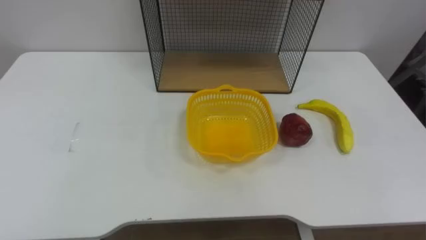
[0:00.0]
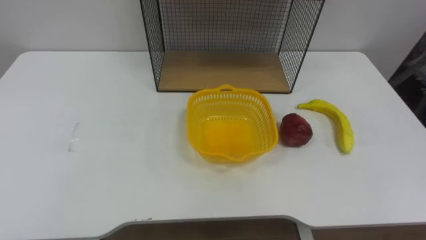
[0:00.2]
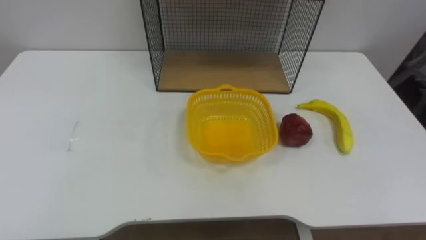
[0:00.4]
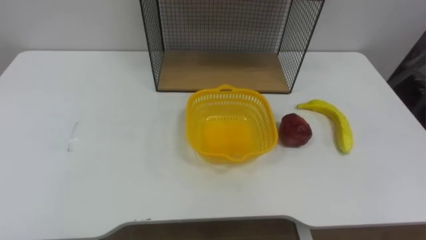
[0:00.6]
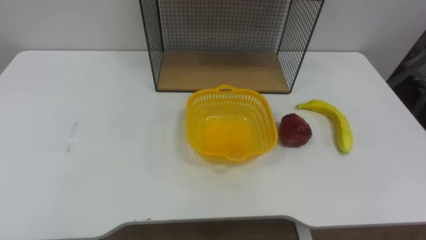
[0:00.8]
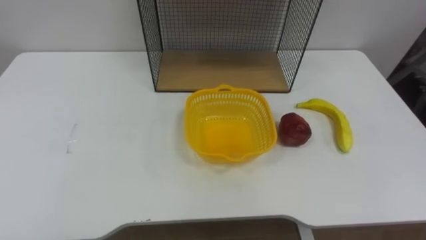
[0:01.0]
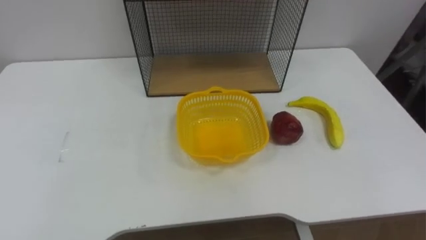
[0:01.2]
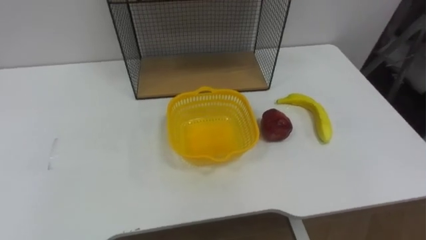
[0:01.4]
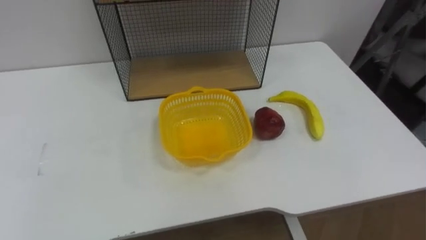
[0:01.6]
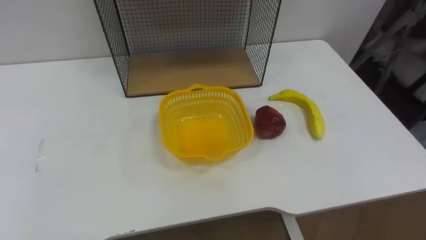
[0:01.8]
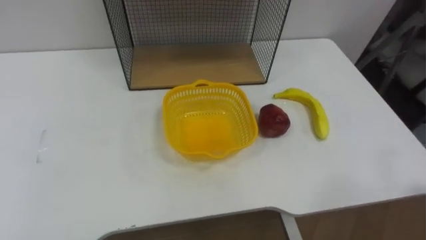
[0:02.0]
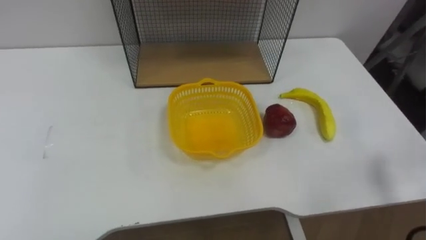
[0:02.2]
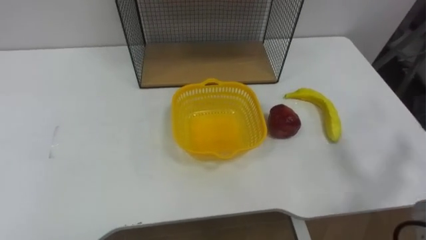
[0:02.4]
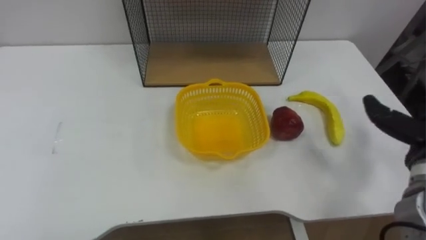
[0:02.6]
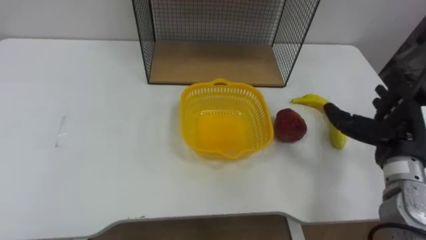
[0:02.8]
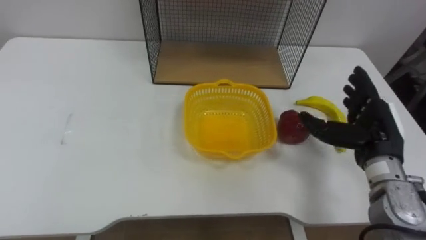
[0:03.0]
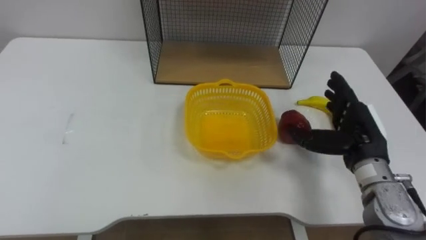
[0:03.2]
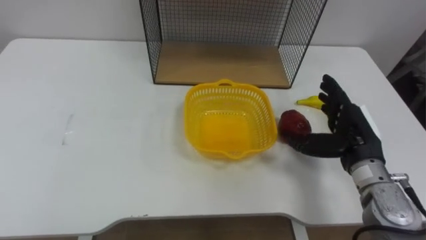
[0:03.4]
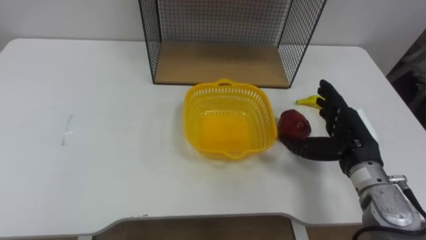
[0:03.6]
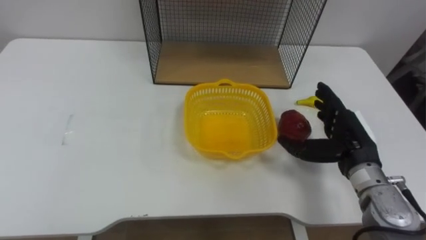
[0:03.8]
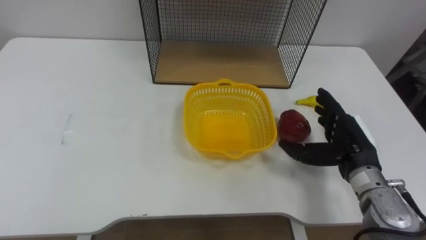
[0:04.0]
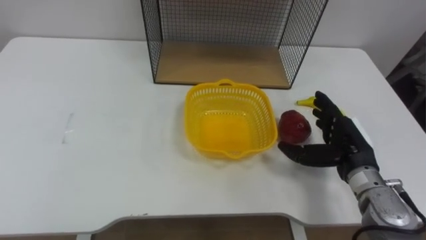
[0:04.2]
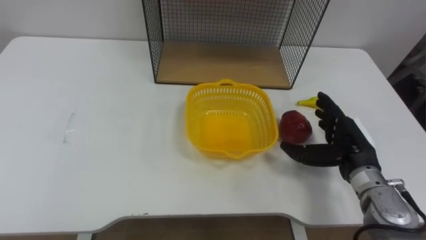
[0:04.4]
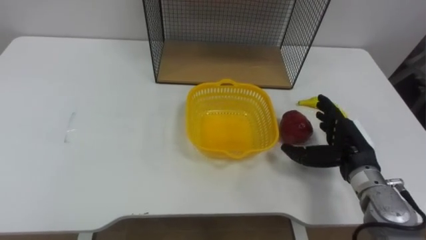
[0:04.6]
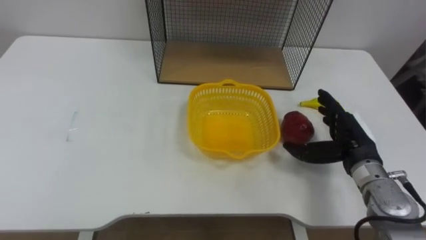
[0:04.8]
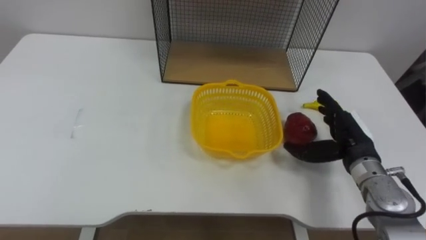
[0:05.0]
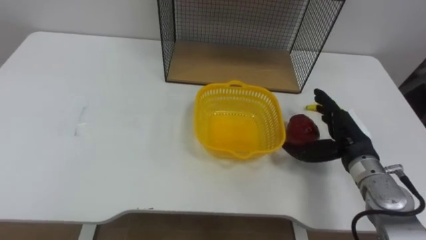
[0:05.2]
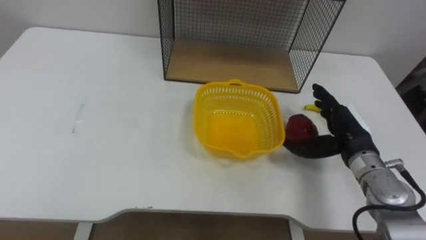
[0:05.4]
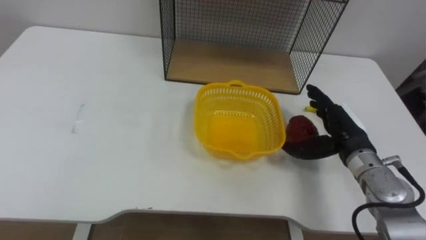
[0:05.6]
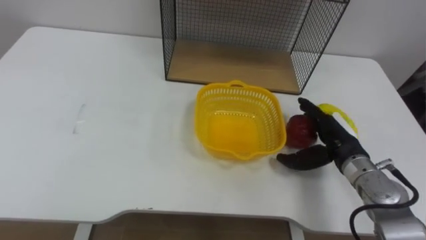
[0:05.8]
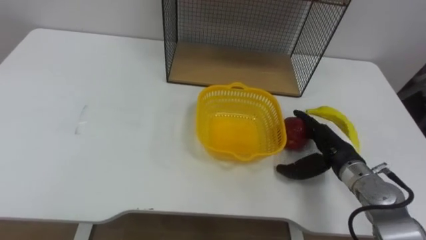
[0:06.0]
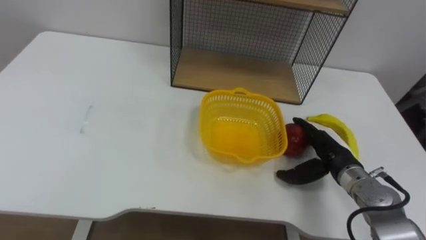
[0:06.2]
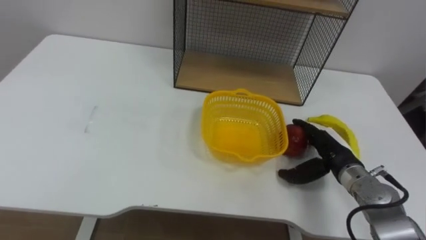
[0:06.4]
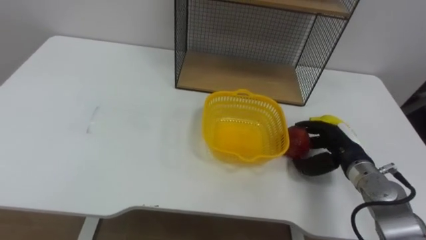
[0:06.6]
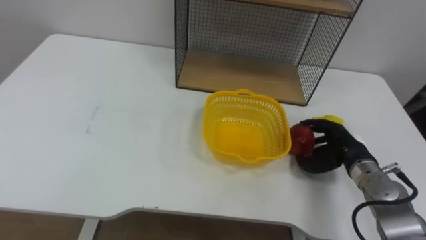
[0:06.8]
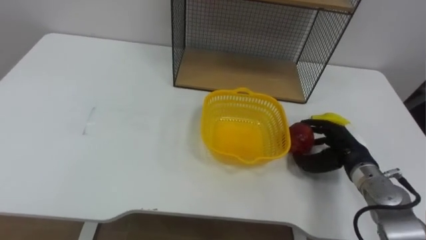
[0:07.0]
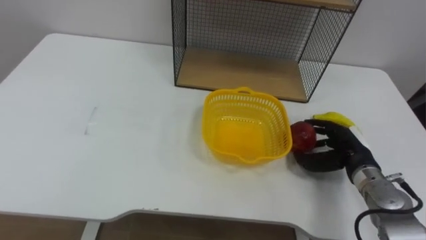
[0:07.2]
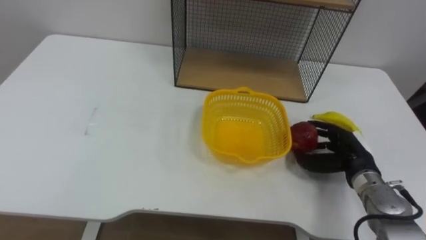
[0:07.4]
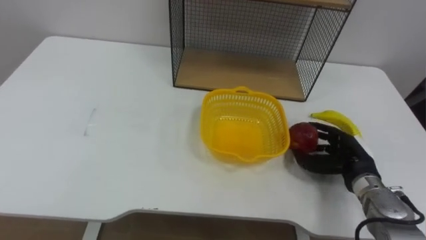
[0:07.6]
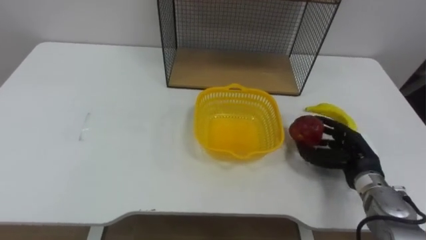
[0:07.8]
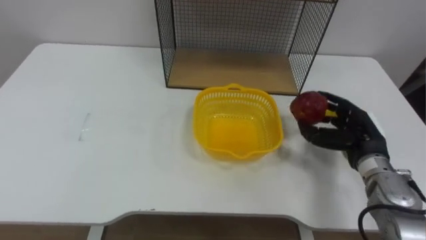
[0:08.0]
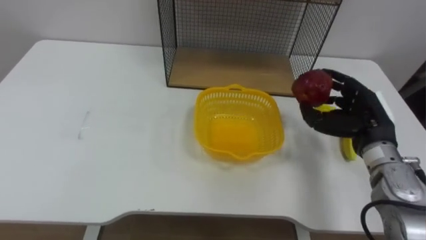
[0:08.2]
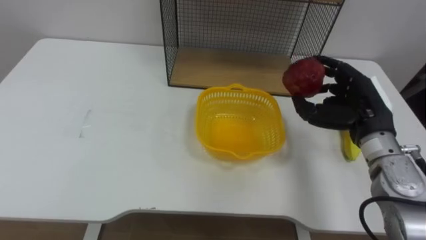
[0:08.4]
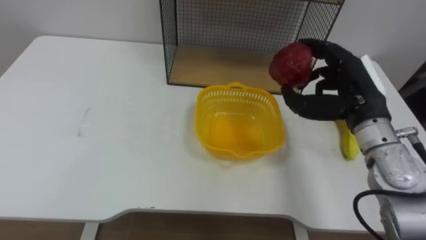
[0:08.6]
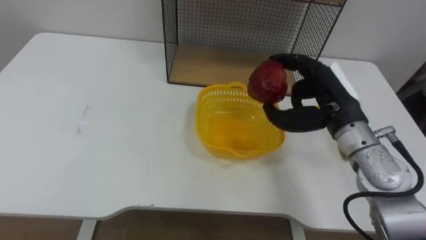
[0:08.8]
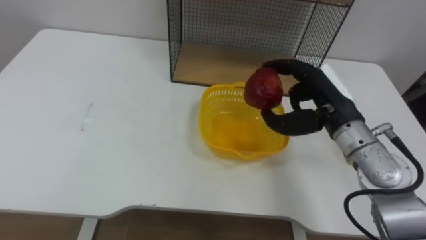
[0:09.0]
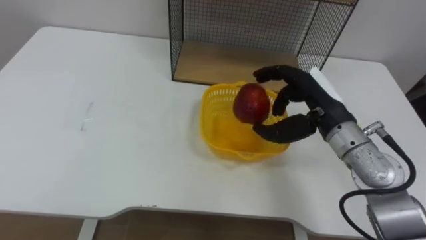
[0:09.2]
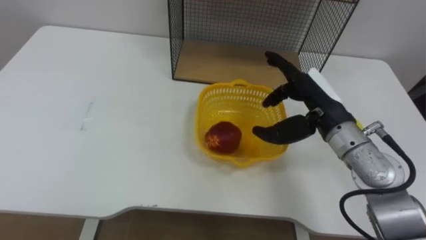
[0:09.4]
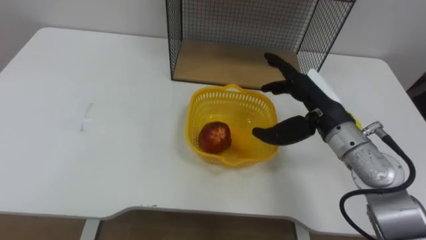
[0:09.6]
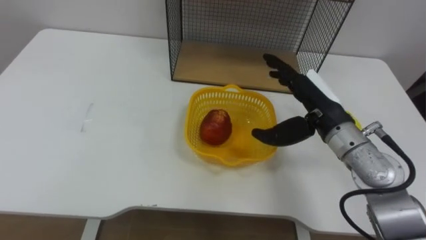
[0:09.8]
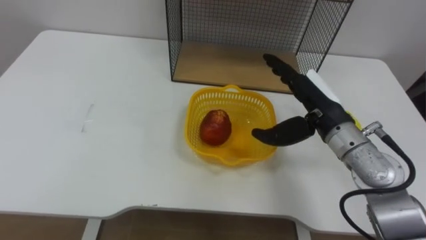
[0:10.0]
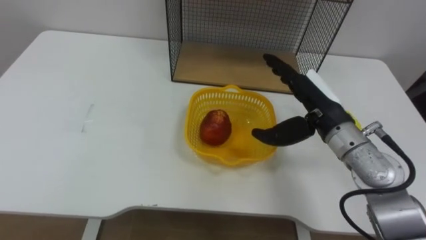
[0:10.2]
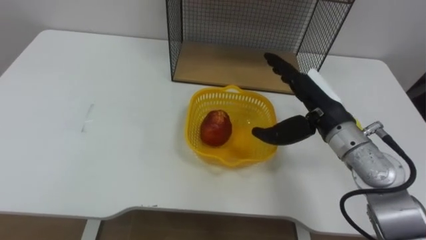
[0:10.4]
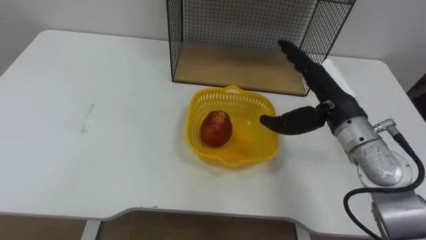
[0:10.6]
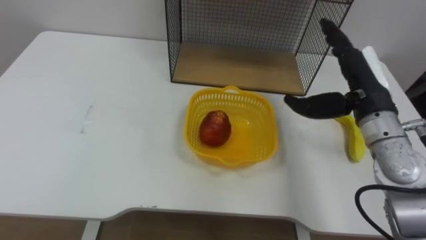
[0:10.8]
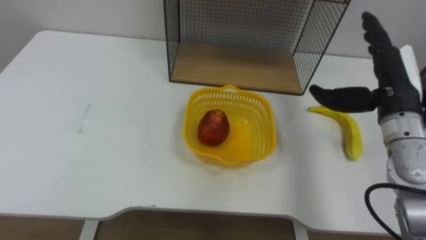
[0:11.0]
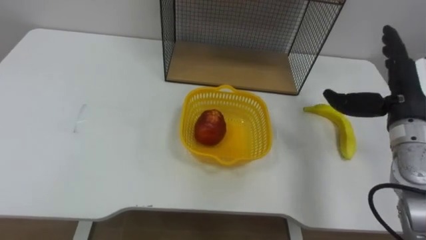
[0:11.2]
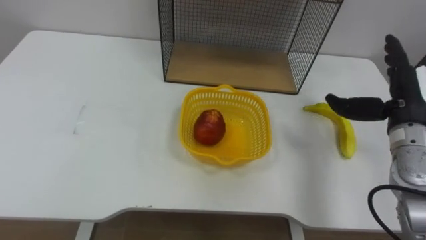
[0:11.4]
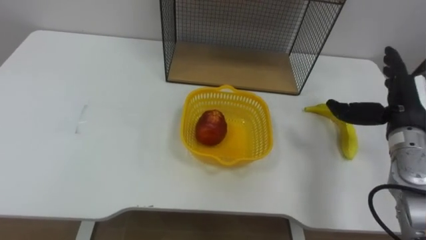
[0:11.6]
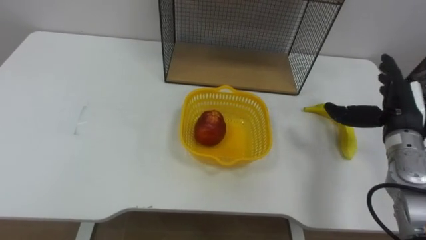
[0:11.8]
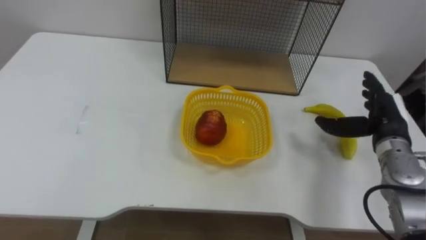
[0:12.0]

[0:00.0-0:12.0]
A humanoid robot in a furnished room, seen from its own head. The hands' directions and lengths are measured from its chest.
Task of the whole recording: Put the fruit on the table into the basket, then place the basket on the shelf.
3.0 to 4.4 s: The right hand moves roughly 5 cm.
6.0 to 7.6 s: The right hand closes its fingers.
7.6 to 9.0 s: The right hand travels upward and to the left by about 15 cm.
9.0 to 10.4 s: The right hand opens.
10.4 to 12.0 s: The right hand shifts approximately 15 cm to the right and downward.

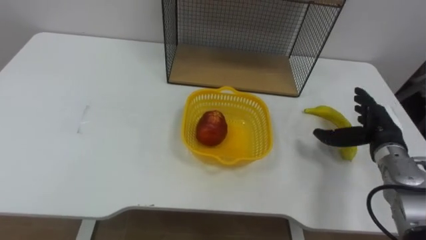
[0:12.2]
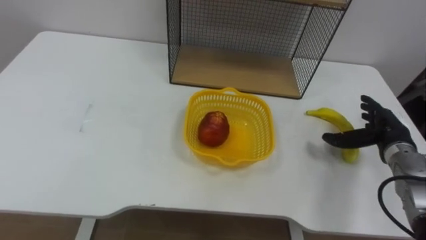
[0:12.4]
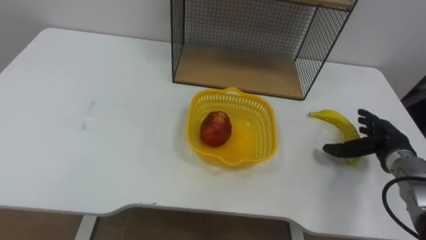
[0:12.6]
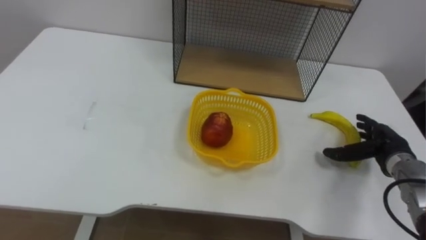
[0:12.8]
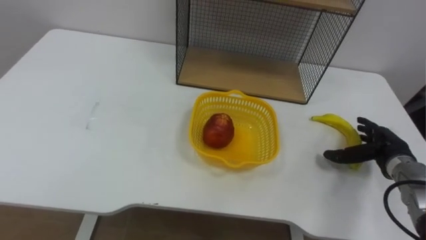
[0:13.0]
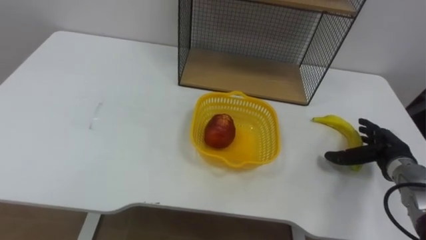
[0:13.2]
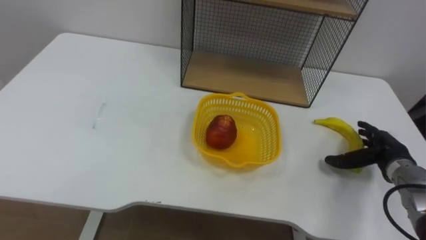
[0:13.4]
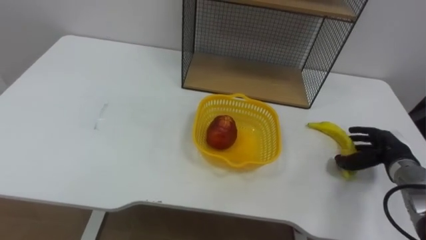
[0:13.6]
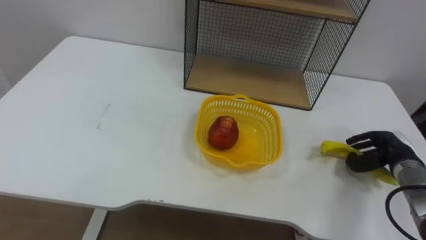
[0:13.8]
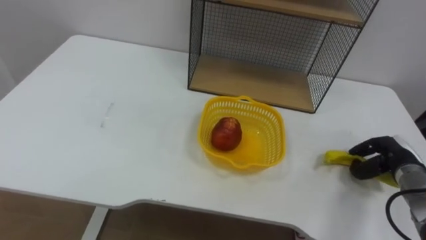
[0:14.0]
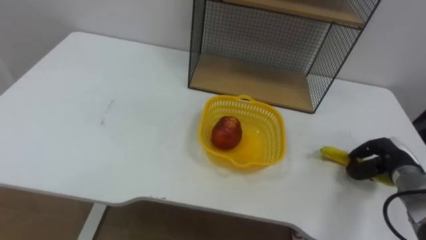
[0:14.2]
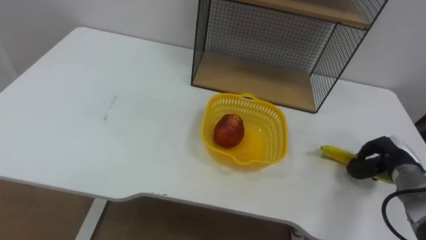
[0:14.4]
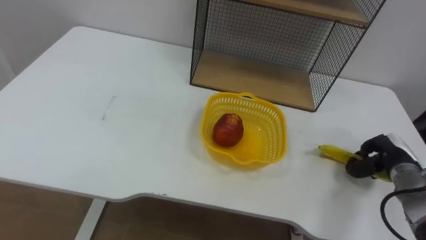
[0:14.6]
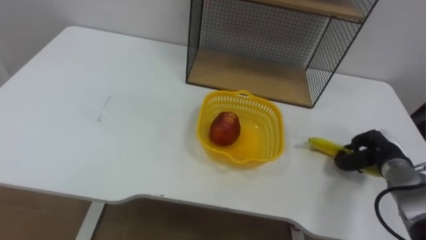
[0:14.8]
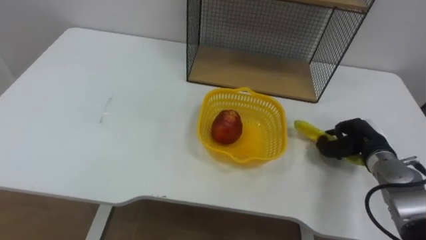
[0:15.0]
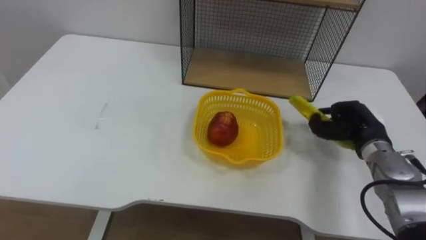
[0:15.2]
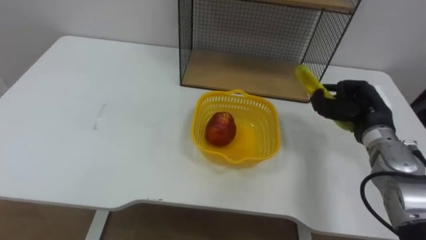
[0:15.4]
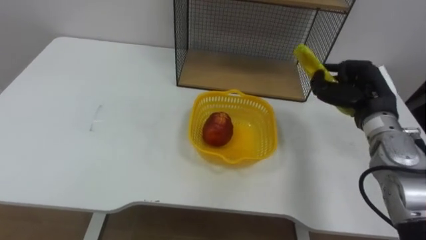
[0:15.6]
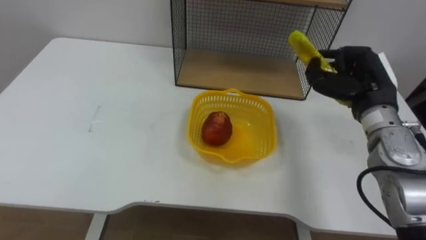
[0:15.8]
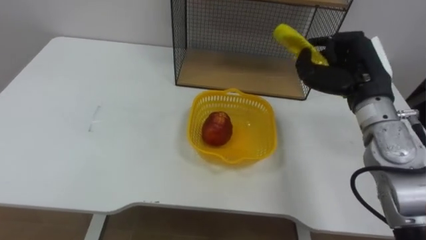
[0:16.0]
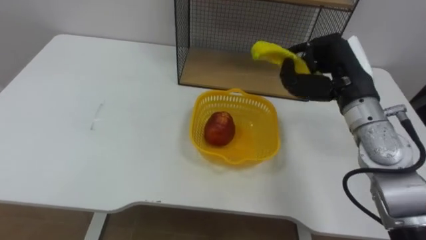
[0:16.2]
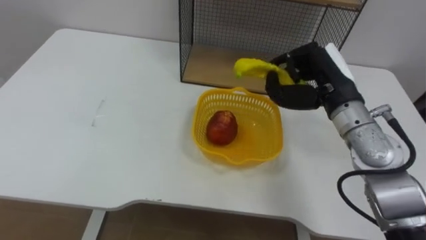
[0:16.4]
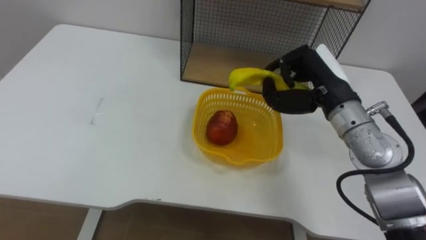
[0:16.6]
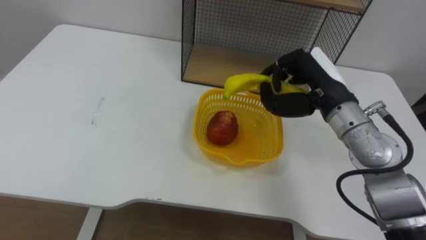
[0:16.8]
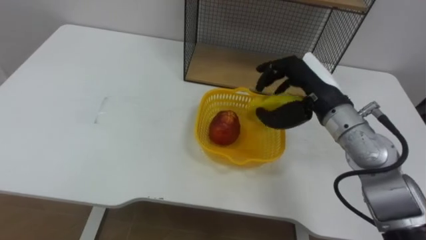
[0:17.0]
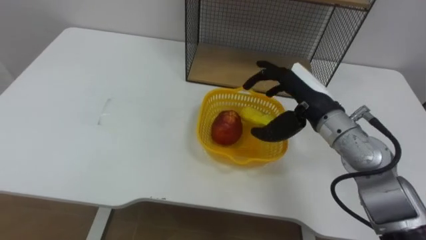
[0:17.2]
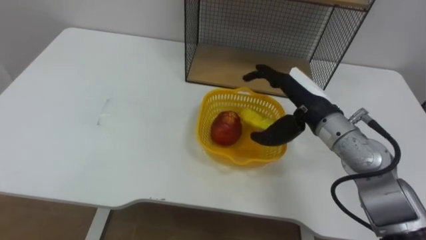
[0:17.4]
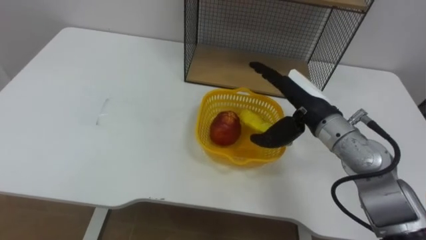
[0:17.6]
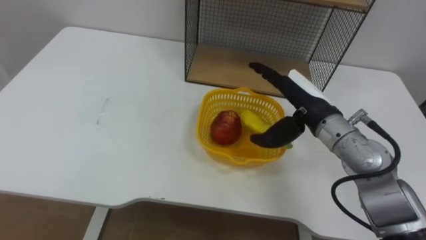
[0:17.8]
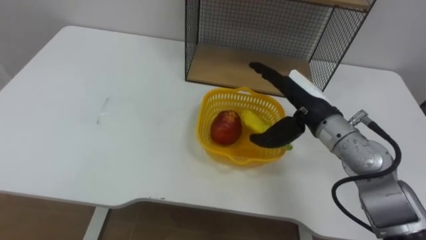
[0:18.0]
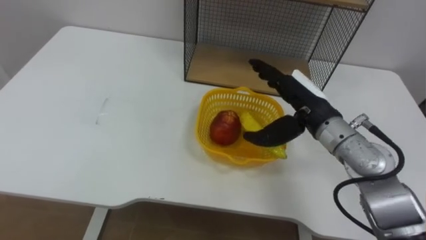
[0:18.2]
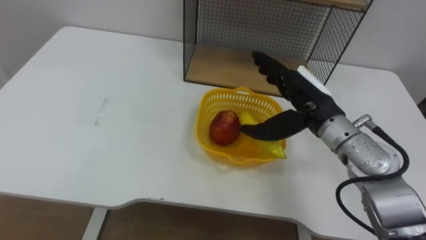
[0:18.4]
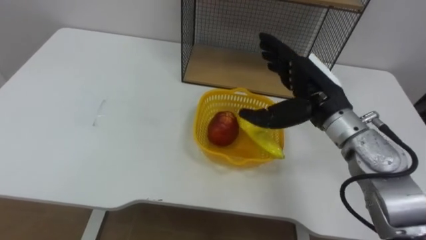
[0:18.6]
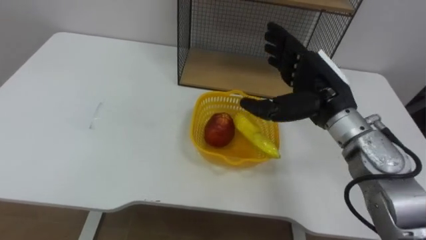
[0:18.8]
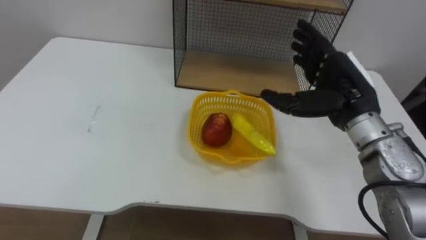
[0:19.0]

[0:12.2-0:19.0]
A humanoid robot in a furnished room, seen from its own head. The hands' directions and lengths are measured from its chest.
Task of the whole recording: Put the fruit on the table into the basket, then place the basket on the shelf.
12.2 to 13.6 s: The right hand goes roughly 5 cm downward.
13.6 to 15.0 s: The right hand closes its fingers.
15.0 to 16.2 s: The right hand travels upward and to the left by about 20 cm.
16.2 to 17.6 s: The right hand goes about 5 cm to the left, and opens up.
17.6 to 19.0 s: The right hand moves about 5 cm.
